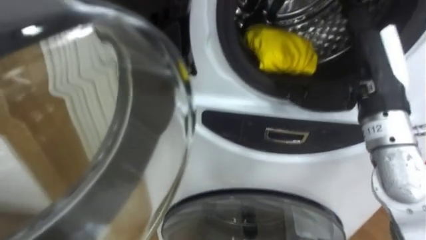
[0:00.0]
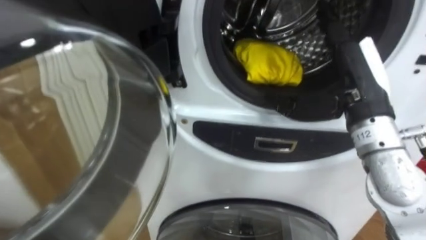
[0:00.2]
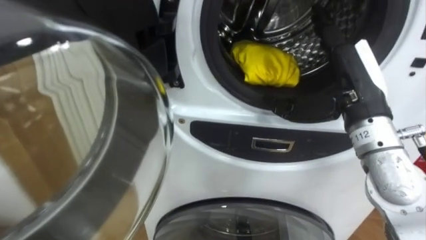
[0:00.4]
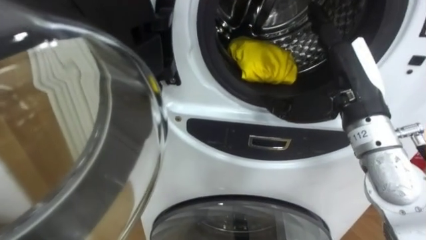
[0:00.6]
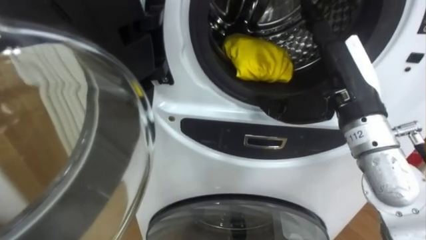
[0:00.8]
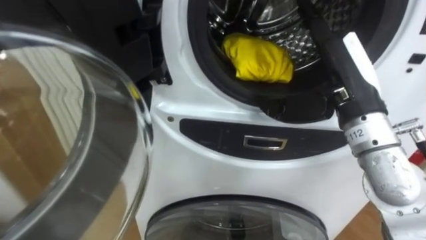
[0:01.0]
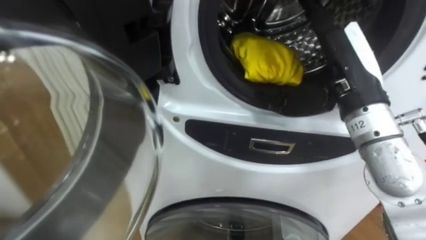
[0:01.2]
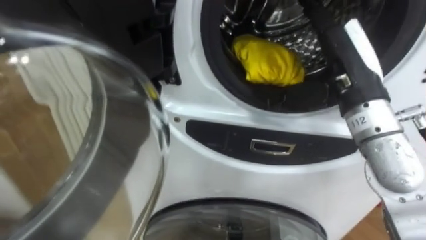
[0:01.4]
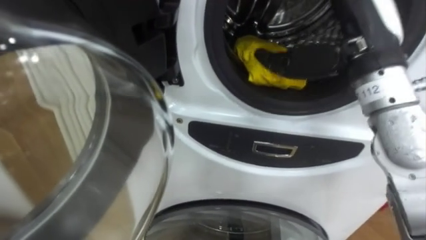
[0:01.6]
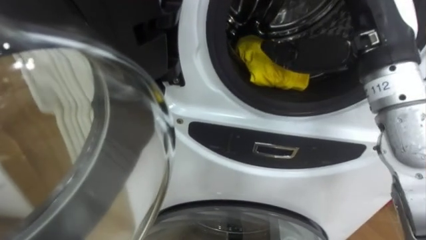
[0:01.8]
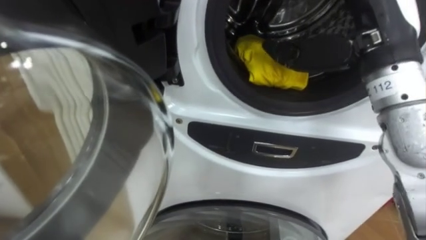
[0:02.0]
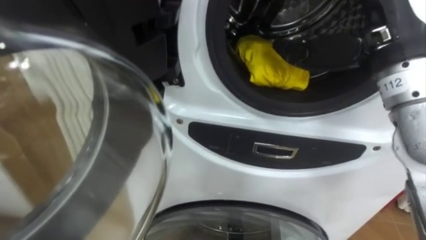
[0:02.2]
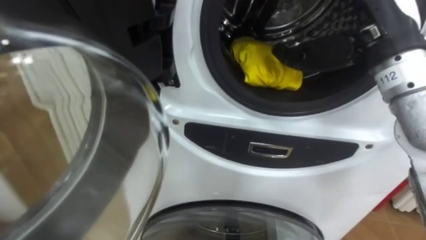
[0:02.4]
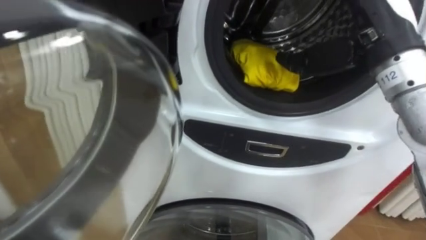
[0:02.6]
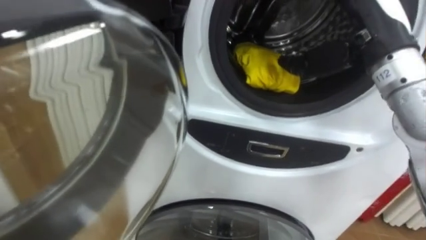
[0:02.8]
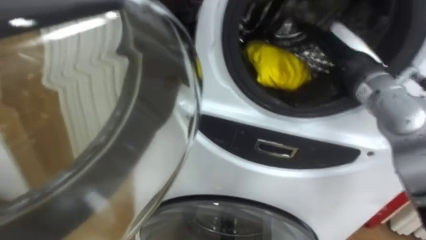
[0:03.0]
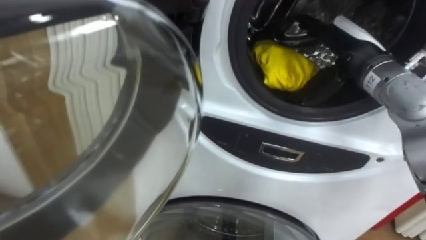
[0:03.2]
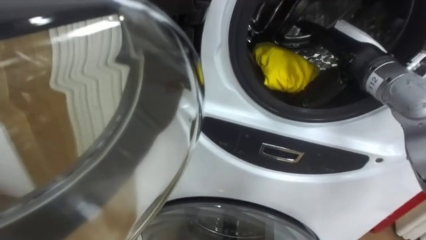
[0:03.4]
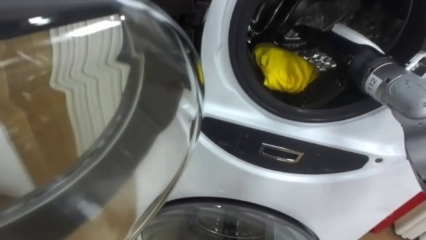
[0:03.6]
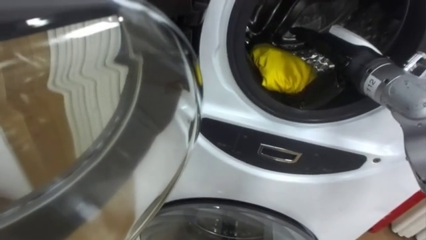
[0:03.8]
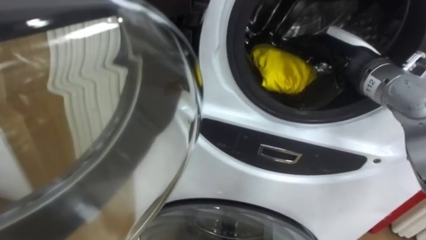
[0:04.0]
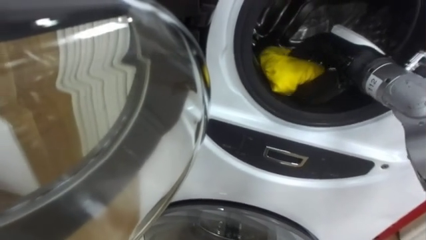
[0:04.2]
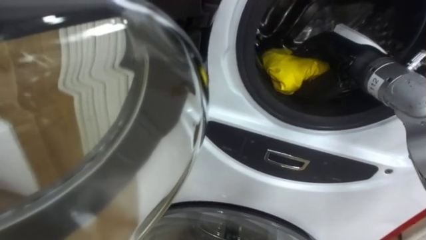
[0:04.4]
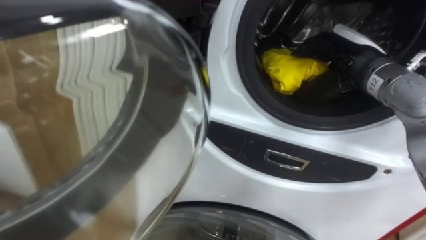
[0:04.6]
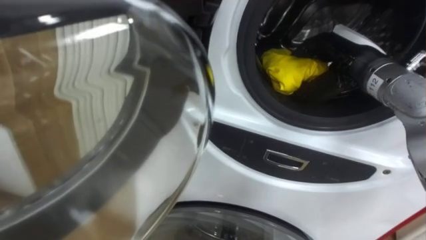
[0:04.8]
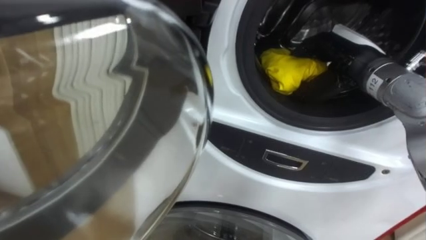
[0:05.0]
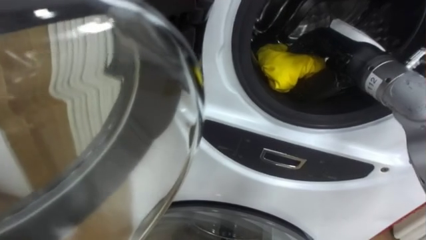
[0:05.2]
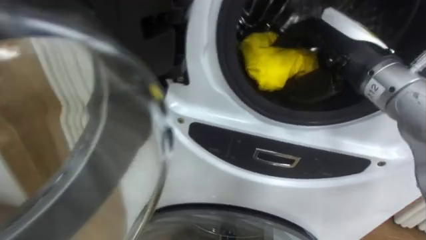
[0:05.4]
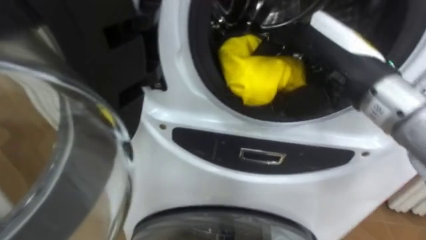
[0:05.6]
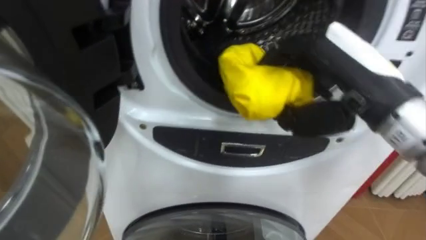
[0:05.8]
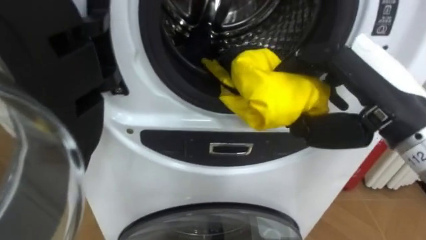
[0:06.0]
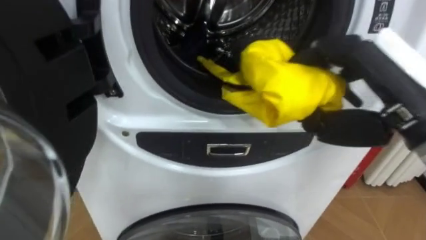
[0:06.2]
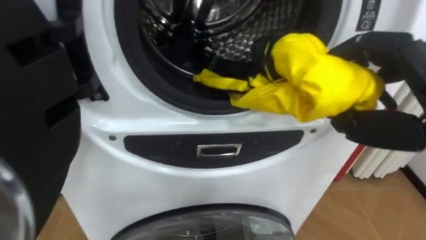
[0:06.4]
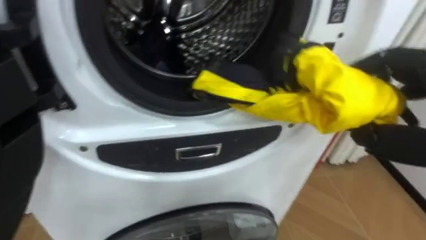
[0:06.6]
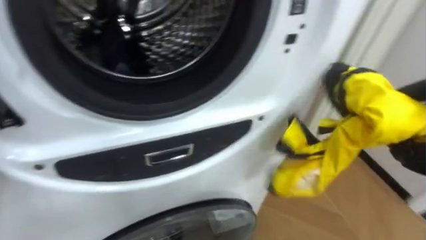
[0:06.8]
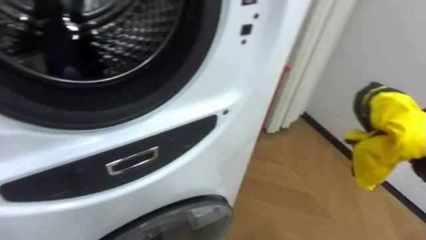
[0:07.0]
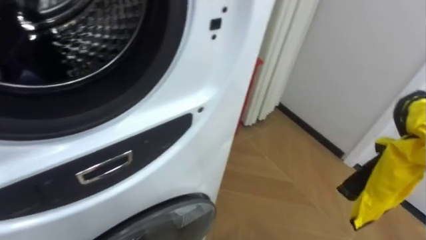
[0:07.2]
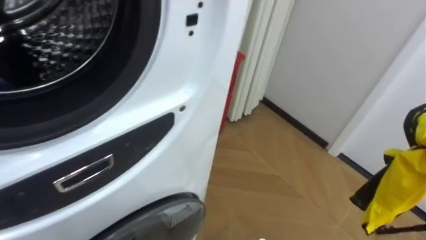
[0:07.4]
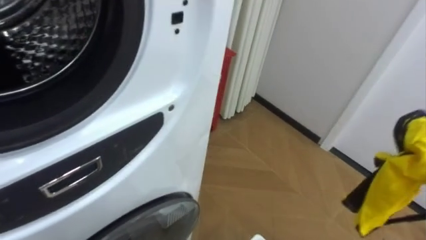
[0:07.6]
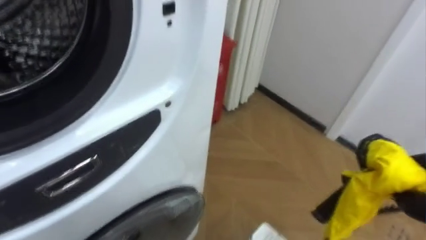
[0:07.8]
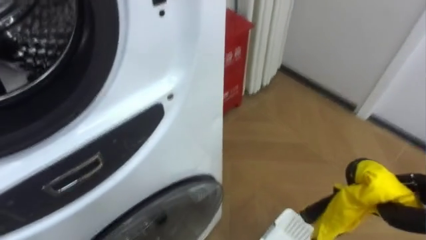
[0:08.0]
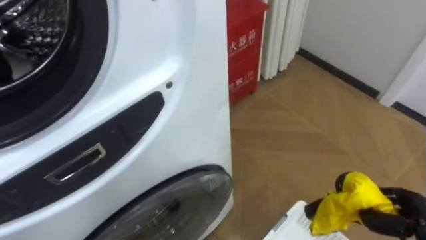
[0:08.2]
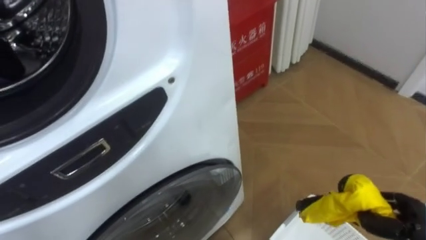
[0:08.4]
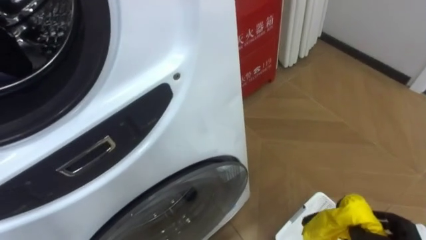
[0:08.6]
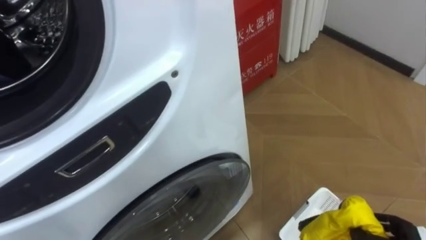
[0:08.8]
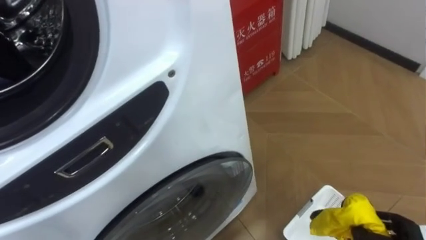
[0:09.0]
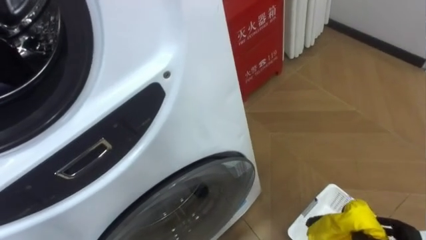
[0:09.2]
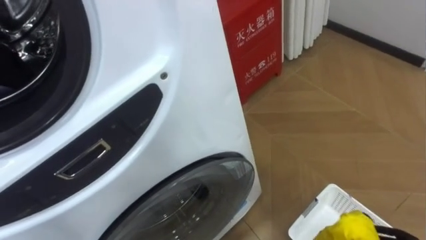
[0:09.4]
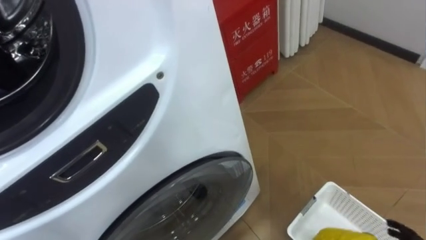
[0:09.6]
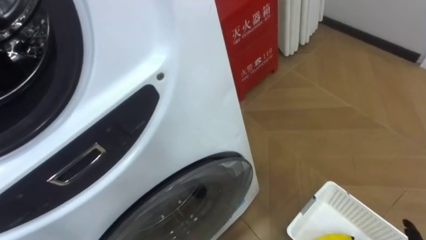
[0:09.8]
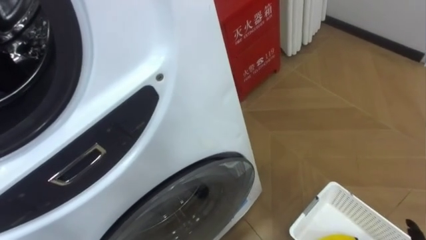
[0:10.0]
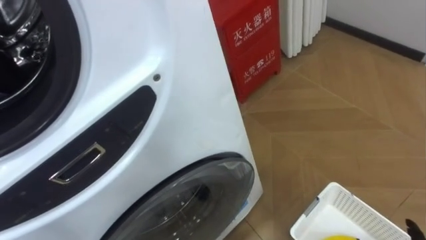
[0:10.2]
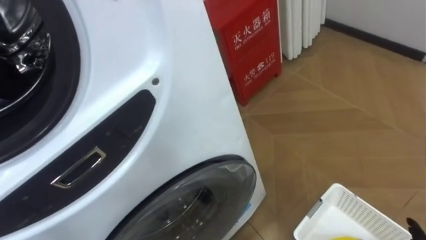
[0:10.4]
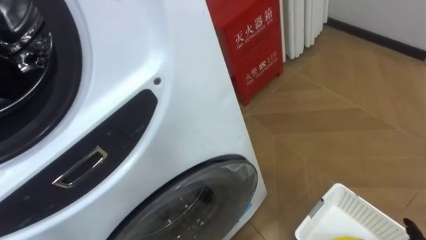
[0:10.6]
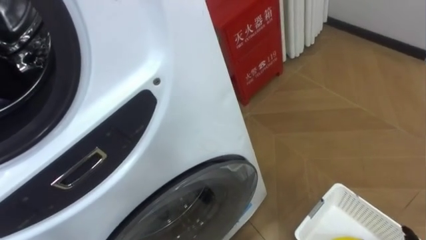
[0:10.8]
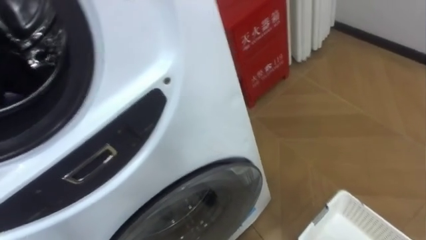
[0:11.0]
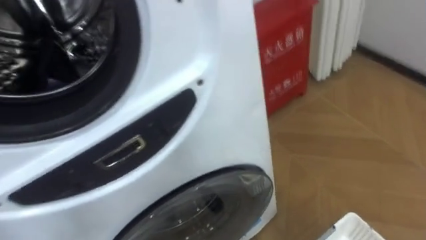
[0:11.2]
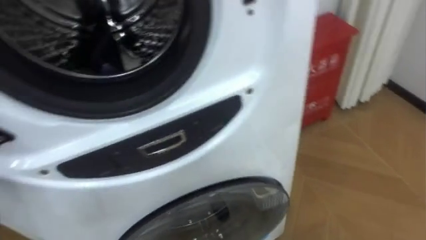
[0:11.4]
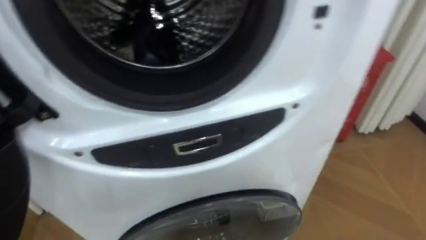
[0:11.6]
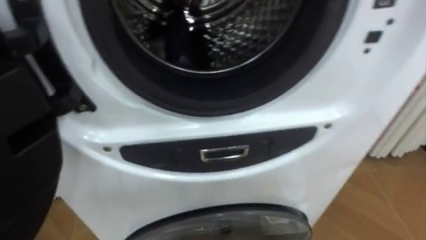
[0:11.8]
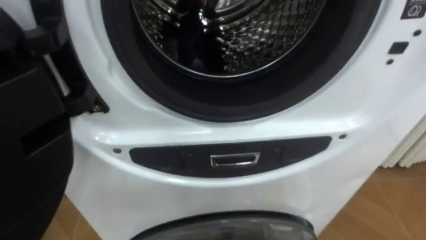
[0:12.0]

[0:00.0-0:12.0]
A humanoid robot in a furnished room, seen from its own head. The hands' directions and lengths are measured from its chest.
Task of the whole recording: Open the washing machine door, take out the yellow clothes, place them in the box on the right, and close the washing machine door.
0:00.0 to 0:01.6: The right hand heads upward, covering some 5 cm.
0:01.6 to 0:03.0: The right hand heads downward and forward, covering approximately 10 cm.
0:03.0 to 0:04.4: The right hand closes up.
0:04.4 to 0:06.0: The right hand is displaced backward by approximately 15 cm.

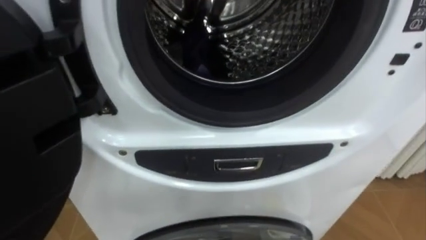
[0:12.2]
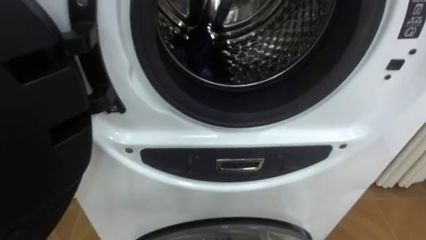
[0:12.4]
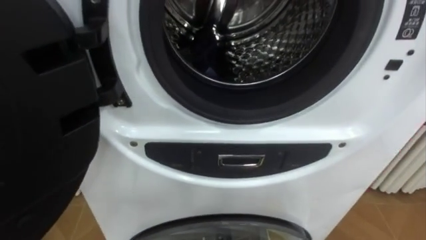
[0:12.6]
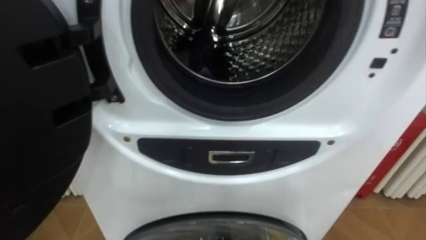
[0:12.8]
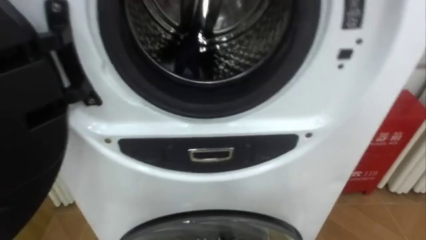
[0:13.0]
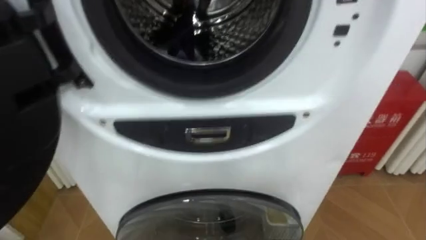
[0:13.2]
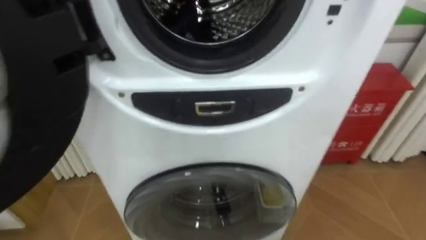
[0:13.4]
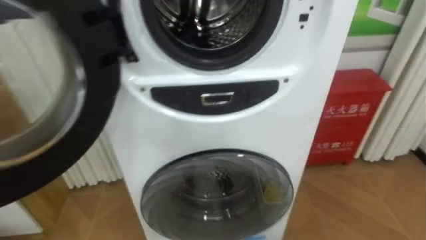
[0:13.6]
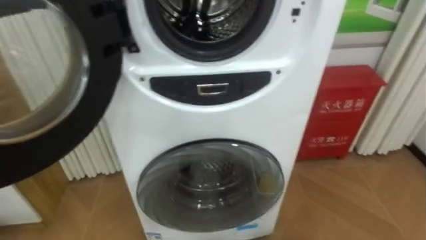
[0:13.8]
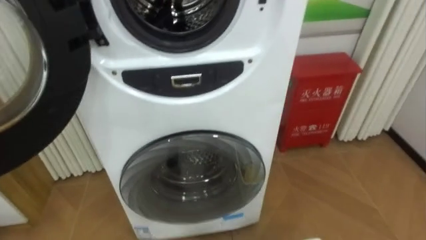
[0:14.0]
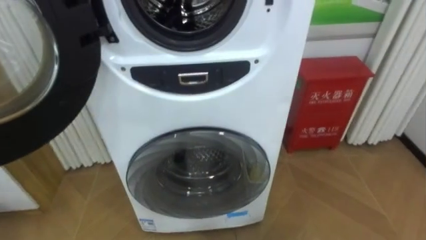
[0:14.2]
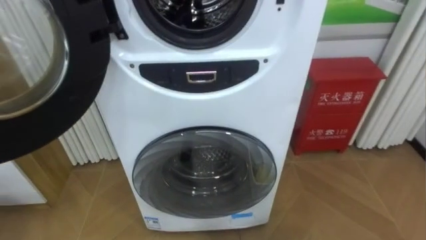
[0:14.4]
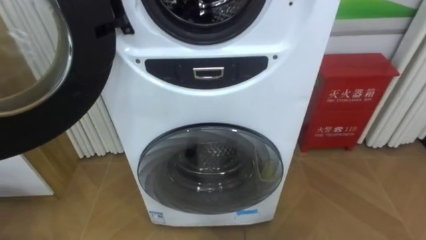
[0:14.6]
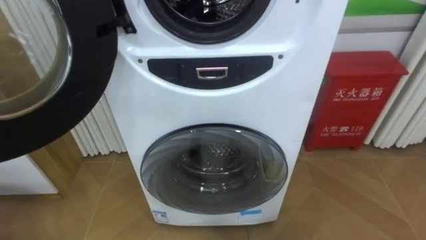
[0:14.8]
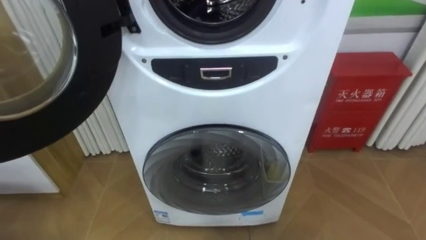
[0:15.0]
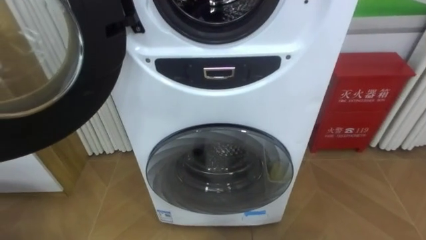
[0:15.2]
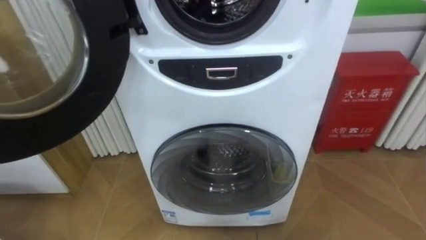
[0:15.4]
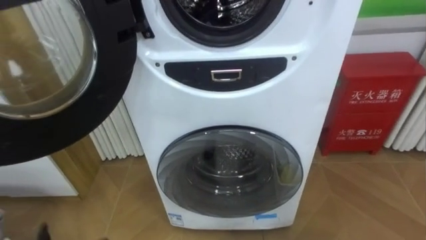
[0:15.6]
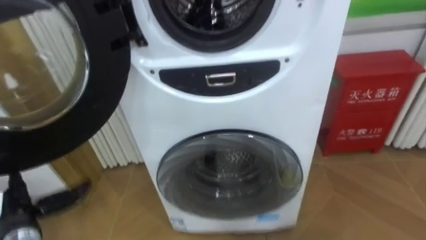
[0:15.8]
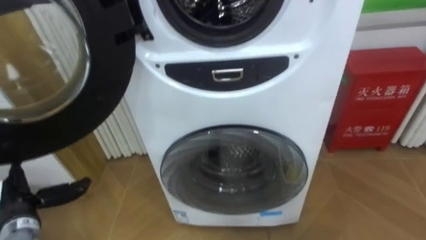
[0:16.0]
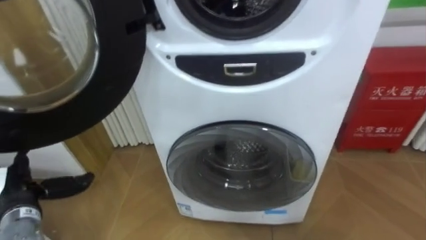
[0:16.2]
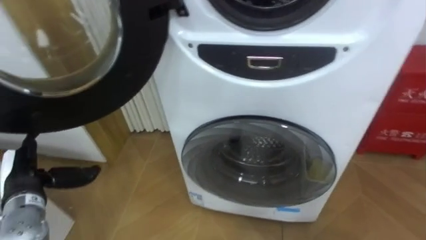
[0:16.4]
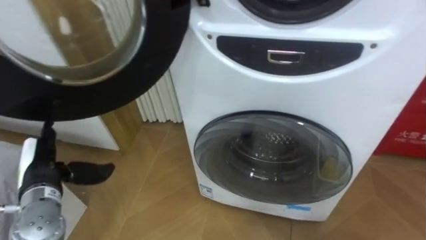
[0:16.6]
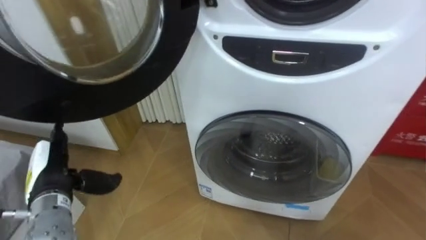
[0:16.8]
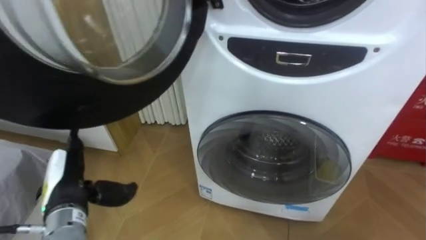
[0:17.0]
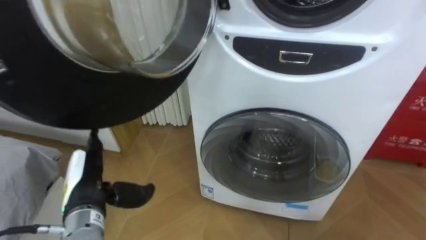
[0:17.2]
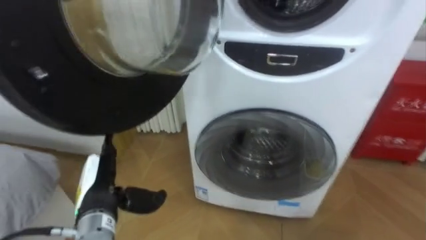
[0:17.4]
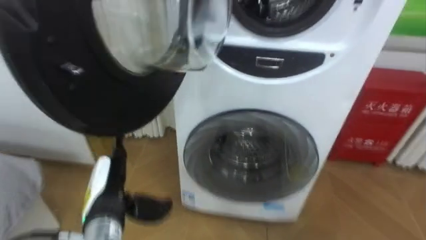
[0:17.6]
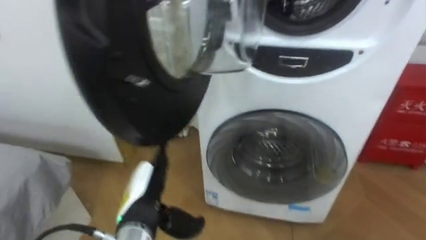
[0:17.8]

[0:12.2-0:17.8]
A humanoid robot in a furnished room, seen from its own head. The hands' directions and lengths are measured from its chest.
Task of the whole recording: Open the washing machine door, take out the yellow clothes, place them in the box on the right, and close the washing machine door.
0:16.4 to 0:17.8: The left hand shifts roughly 20 cm to the right.
